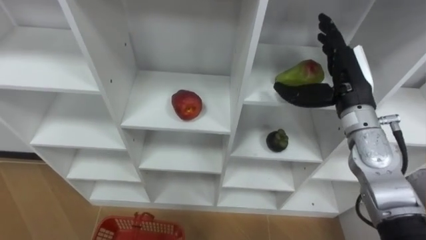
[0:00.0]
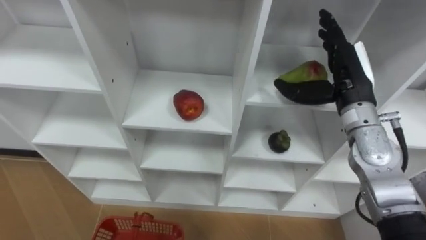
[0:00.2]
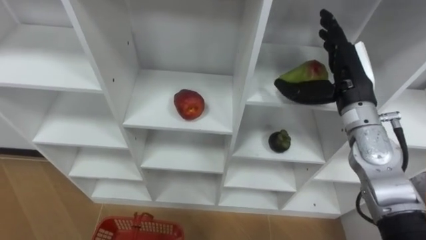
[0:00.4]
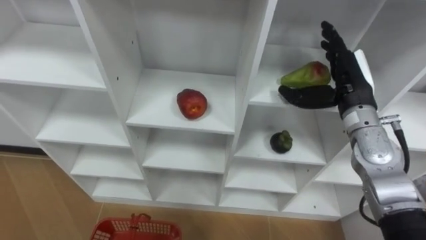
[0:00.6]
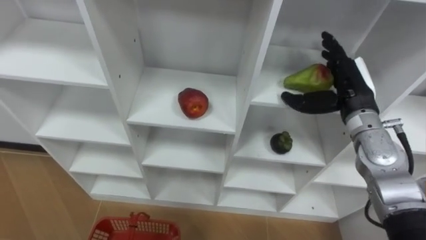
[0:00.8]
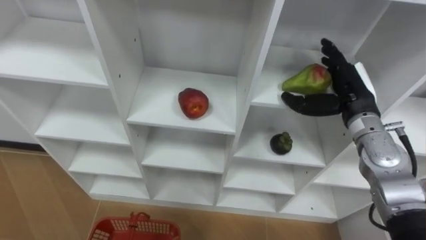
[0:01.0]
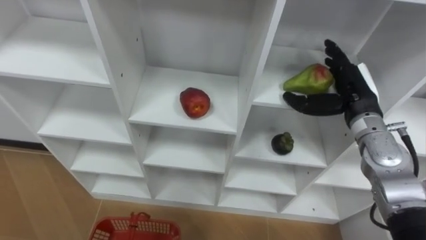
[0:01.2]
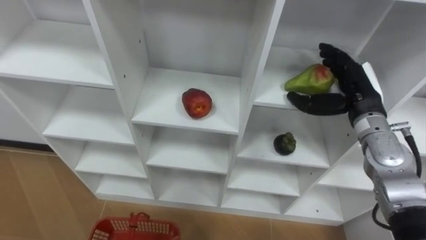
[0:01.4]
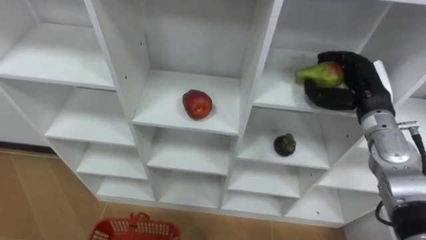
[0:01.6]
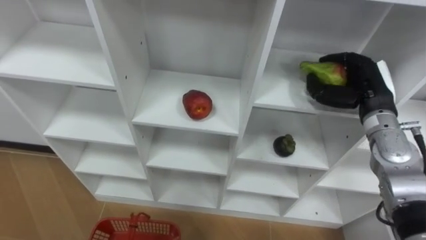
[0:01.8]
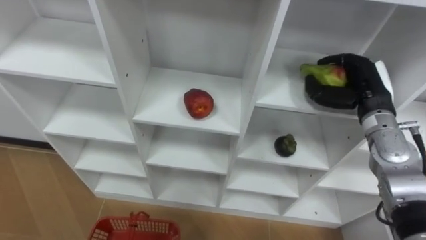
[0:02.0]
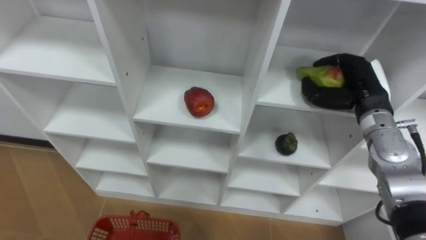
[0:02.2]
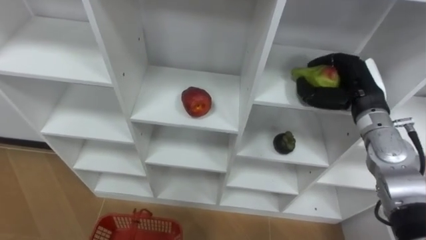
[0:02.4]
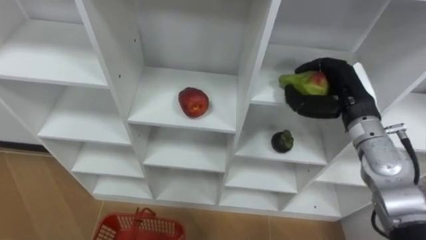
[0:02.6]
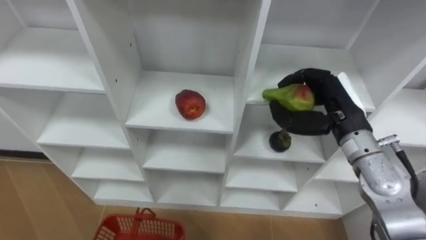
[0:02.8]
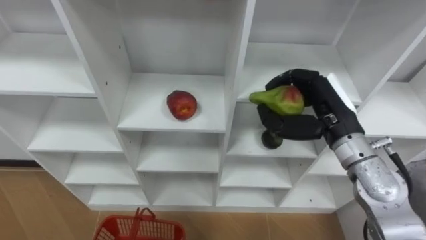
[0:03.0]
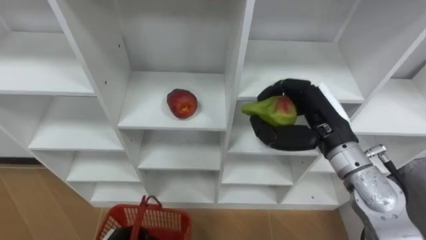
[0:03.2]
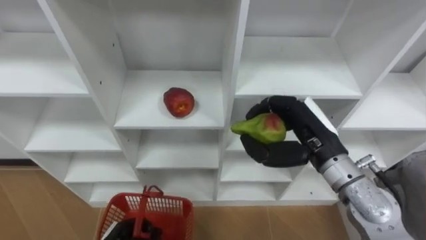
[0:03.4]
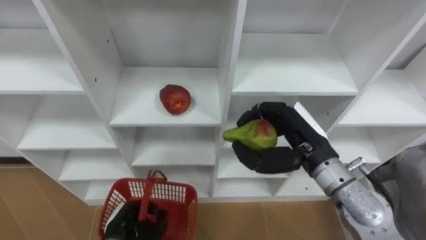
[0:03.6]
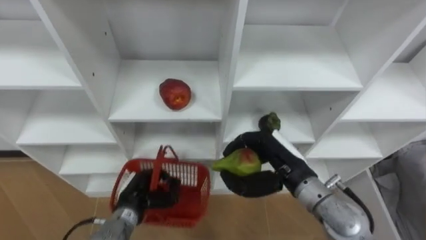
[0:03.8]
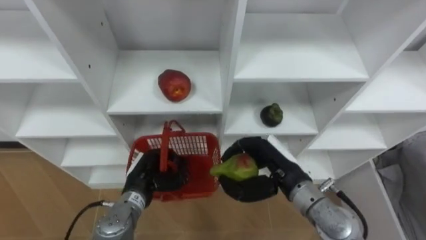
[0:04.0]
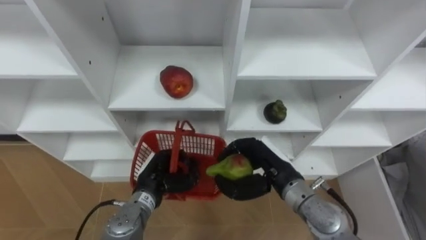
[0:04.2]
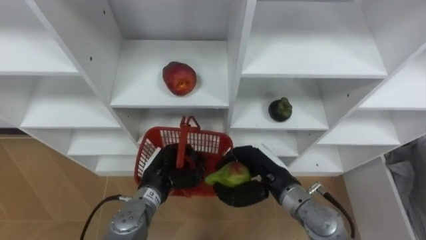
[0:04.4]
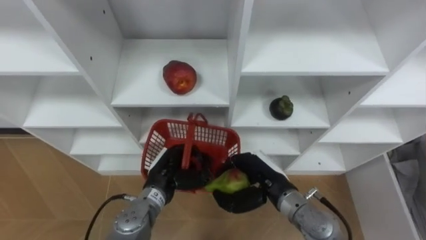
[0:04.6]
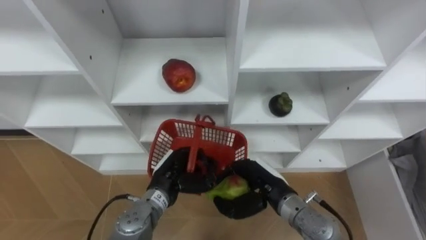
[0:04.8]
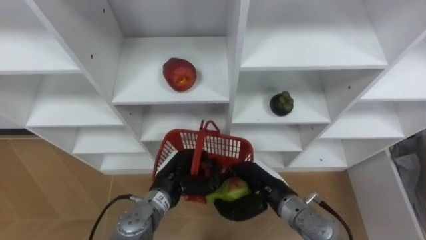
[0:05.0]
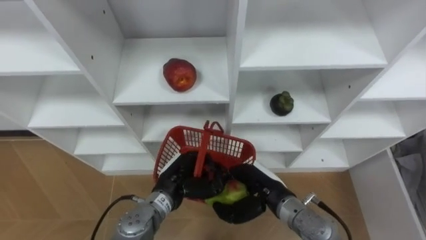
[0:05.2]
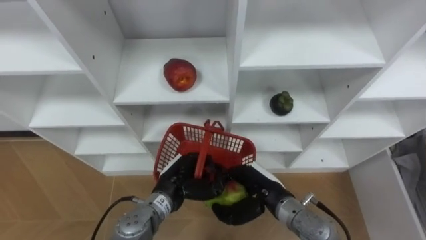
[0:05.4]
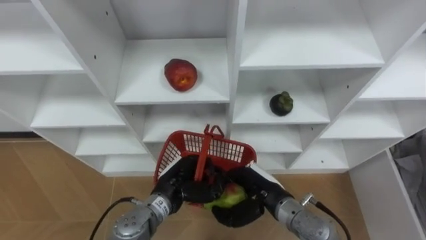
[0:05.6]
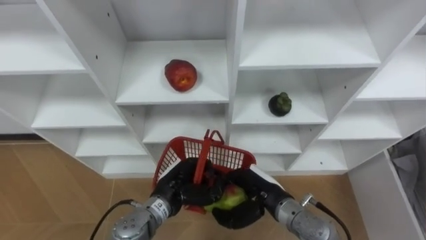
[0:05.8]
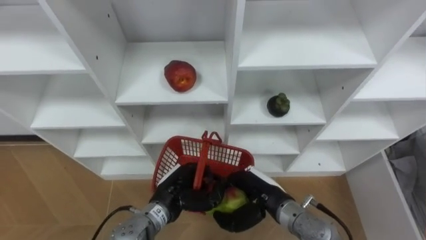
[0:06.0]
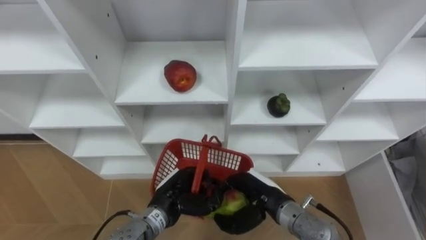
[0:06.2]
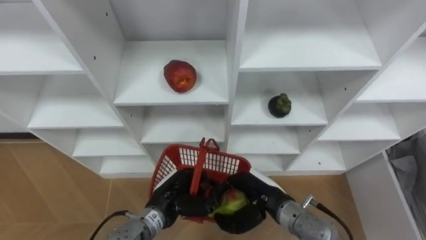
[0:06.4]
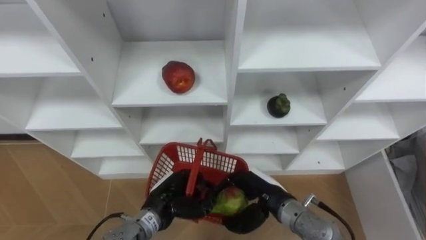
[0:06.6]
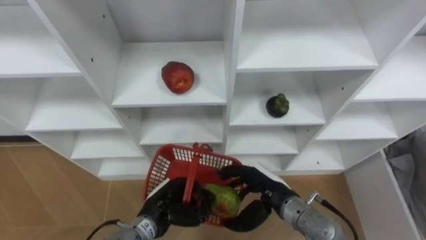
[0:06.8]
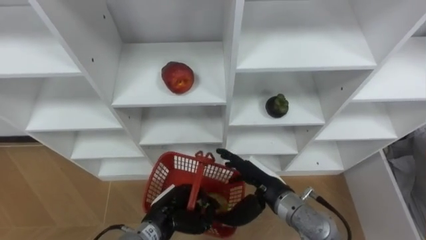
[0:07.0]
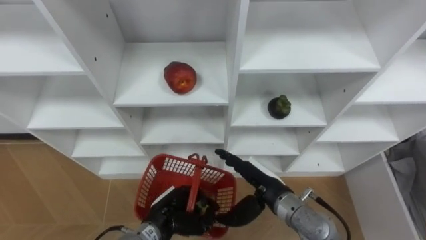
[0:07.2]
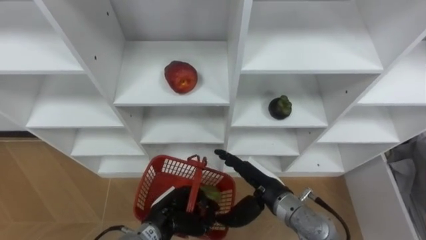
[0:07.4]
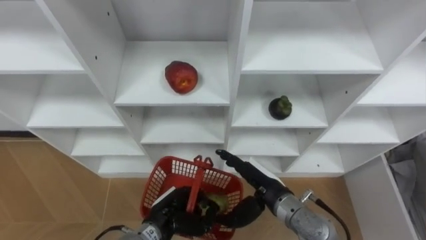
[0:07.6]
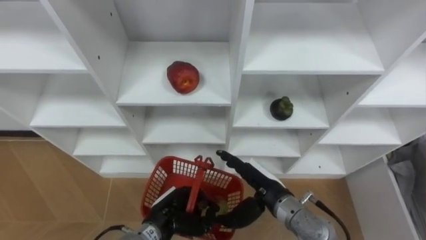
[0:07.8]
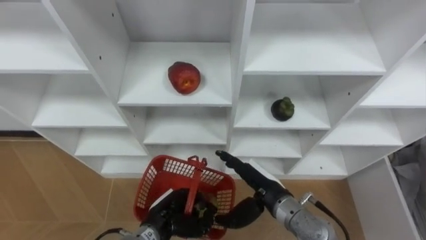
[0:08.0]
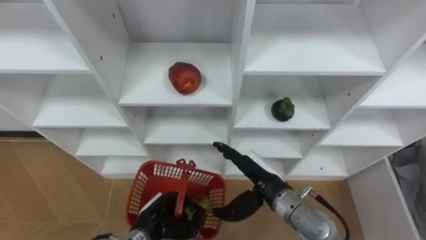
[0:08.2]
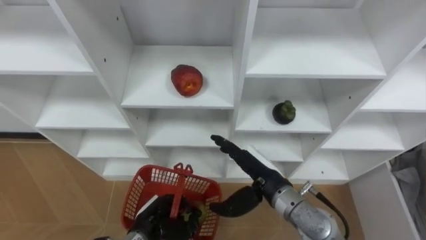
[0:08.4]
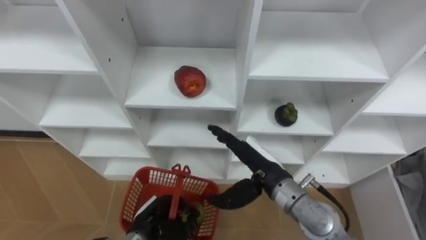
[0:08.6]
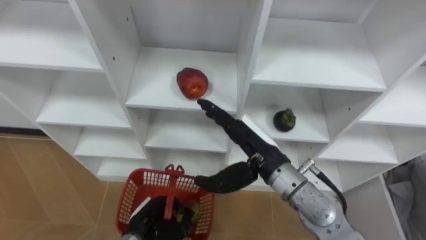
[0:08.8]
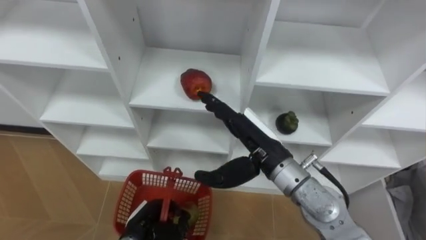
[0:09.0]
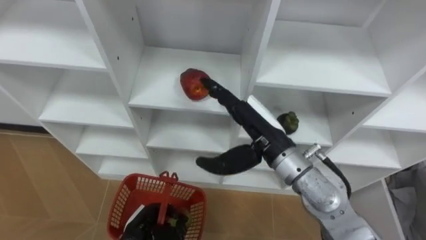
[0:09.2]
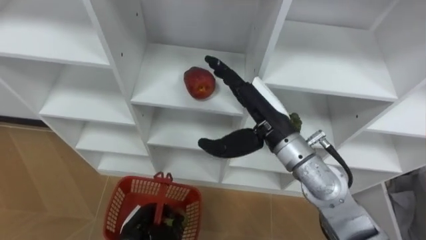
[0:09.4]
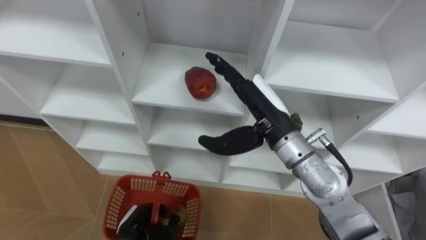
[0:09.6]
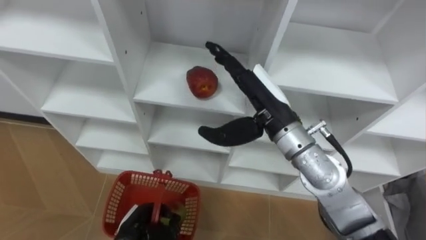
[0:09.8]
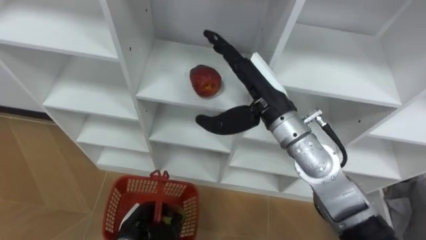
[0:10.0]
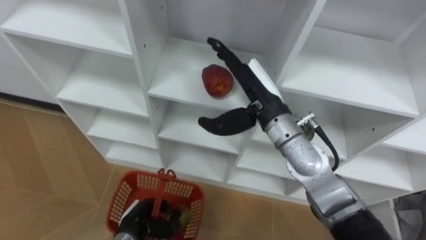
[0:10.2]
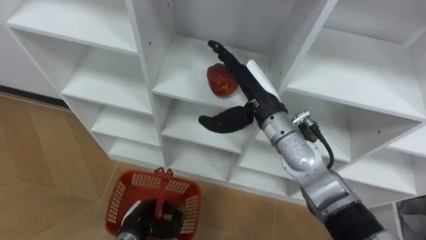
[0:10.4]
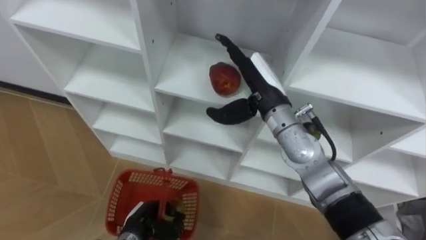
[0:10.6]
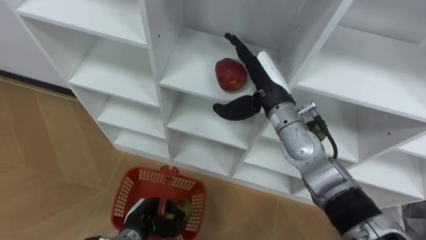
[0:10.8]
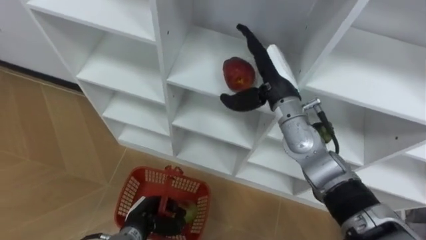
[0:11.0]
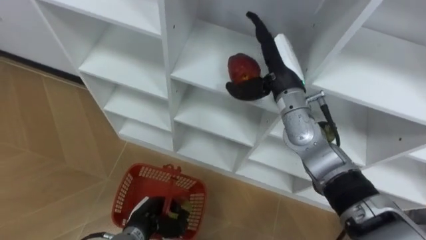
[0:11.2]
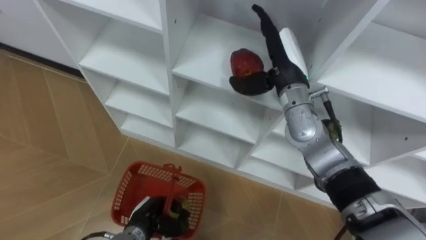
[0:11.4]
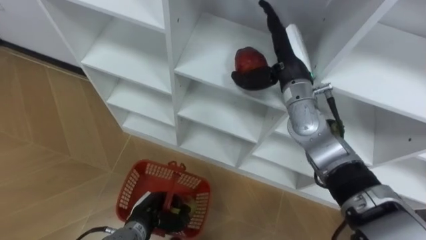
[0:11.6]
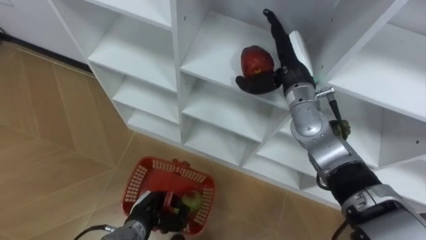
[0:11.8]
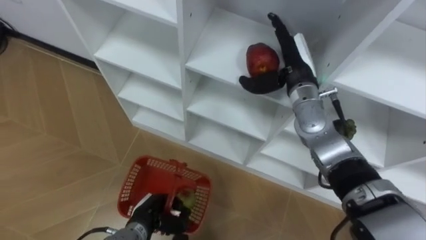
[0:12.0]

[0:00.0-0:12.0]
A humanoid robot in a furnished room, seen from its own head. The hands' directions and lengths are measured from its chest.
Task of the whole recording: Hold the basket and collect the fruits from 3 different cells of the closet into it.
0:00.0 to 0:01.6: The right hand heads to the right, covering some 5 cm, and closes up.
0:01.6 to 0:03.0: The right hand moves to the left and backward, some 10 cm.
0:03.0 to 0:04.4: The right hand goes about 15 cm downward and to the left.
0:06.0 to 0:07.6: The right hand opens.
0:07.6 to 0:09.0: The right hand goes some 10 cm upward; the left hand heads to the left, covering some 5 cm.
0:09.0 to 0:10.4: The right hand moves forward, about 5 cm.
0:10.4 to 0:12.0: The right hand heads to the right and forward, covering approximately 10 cm.

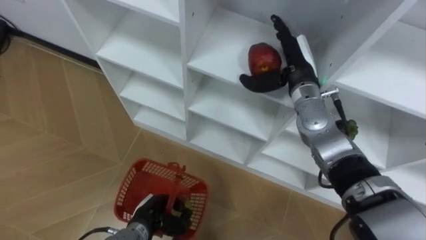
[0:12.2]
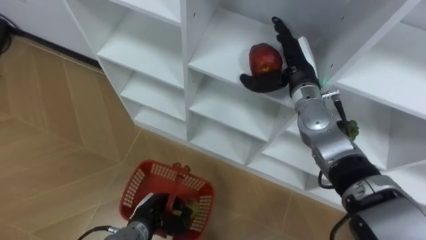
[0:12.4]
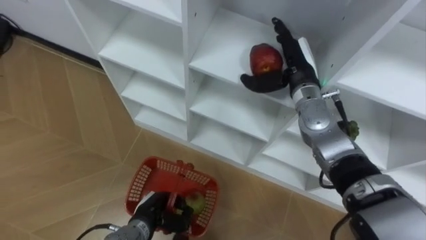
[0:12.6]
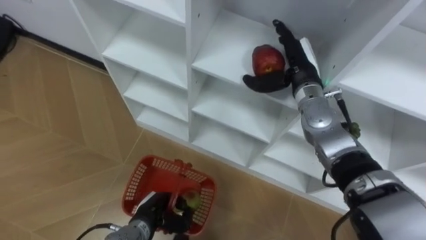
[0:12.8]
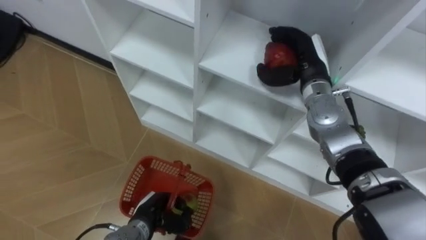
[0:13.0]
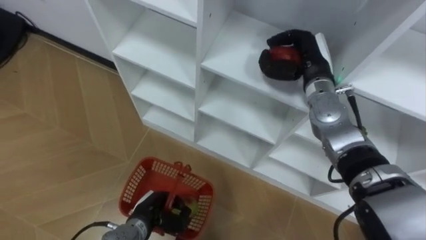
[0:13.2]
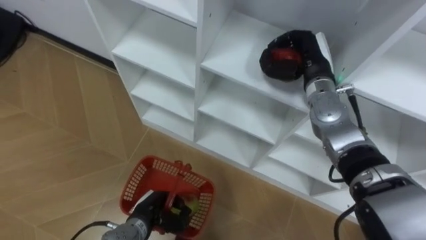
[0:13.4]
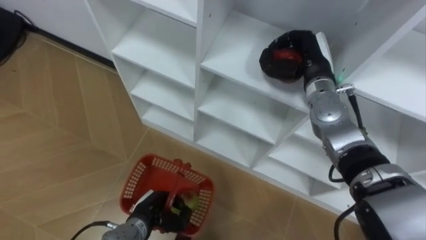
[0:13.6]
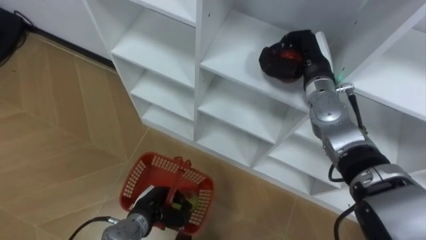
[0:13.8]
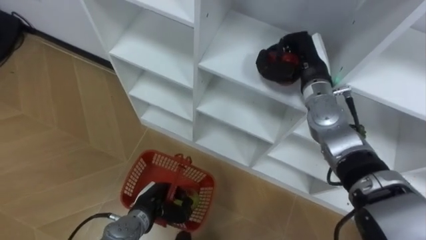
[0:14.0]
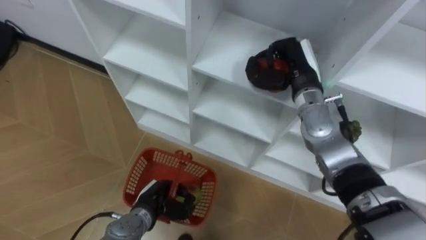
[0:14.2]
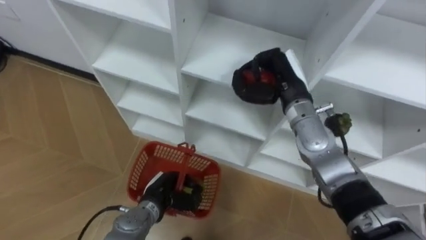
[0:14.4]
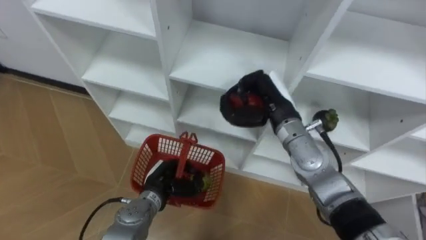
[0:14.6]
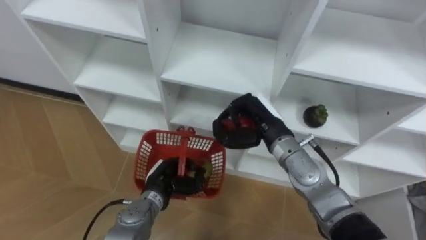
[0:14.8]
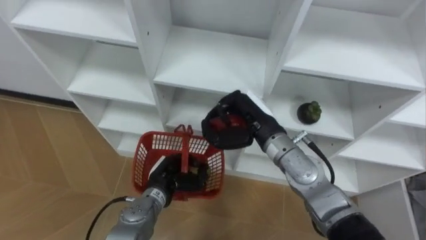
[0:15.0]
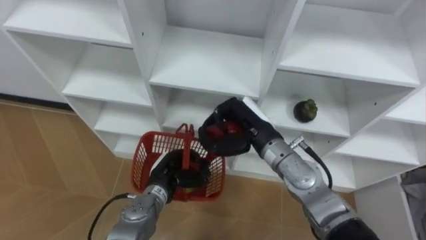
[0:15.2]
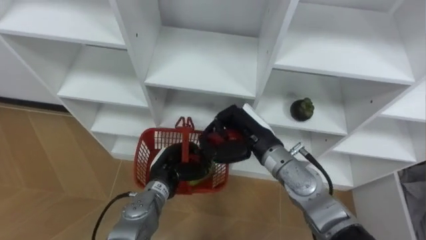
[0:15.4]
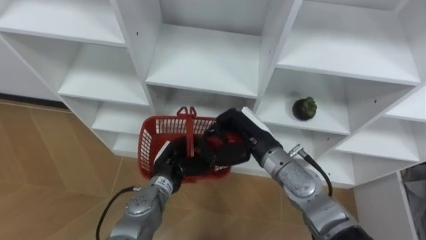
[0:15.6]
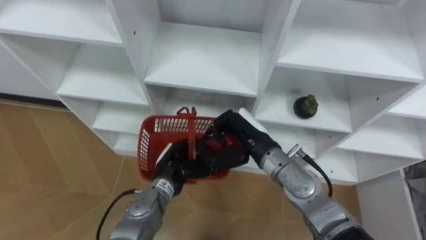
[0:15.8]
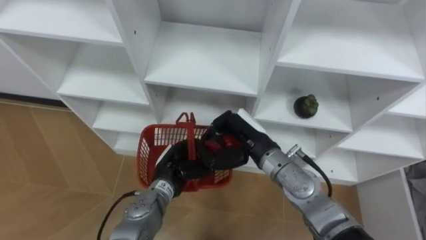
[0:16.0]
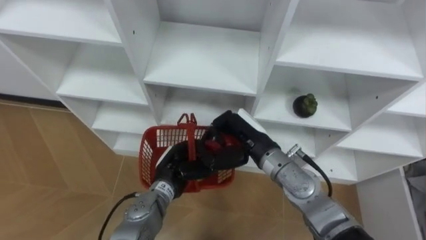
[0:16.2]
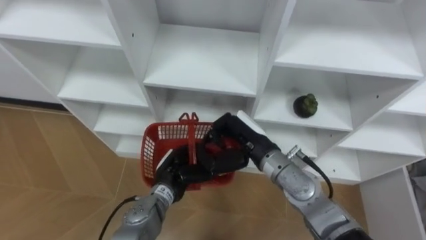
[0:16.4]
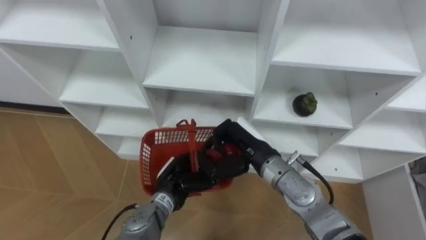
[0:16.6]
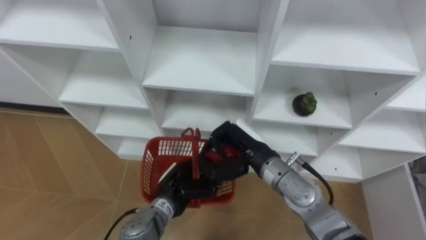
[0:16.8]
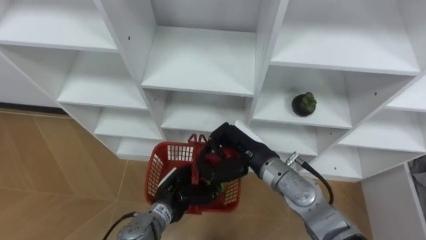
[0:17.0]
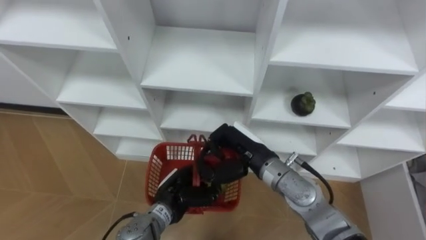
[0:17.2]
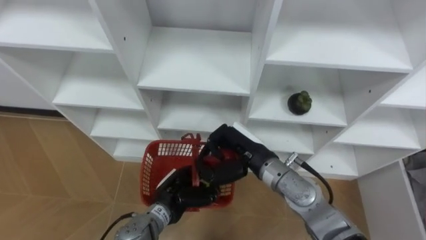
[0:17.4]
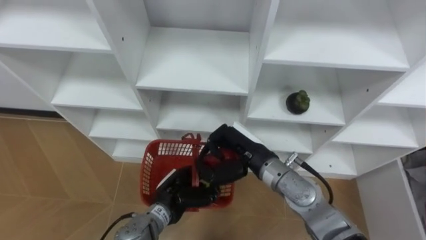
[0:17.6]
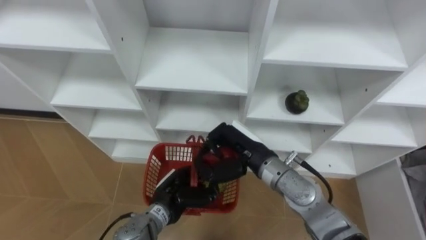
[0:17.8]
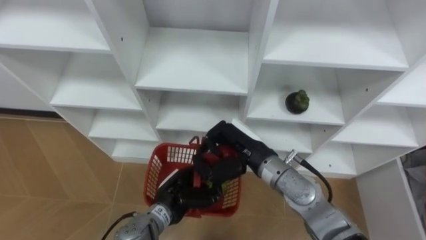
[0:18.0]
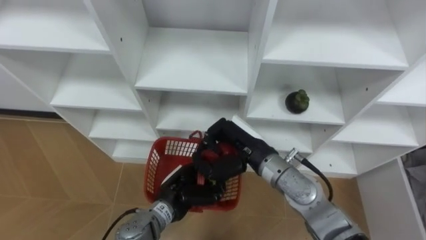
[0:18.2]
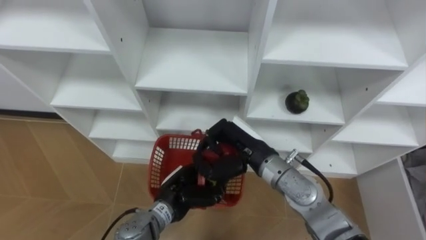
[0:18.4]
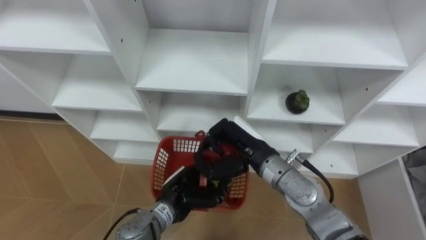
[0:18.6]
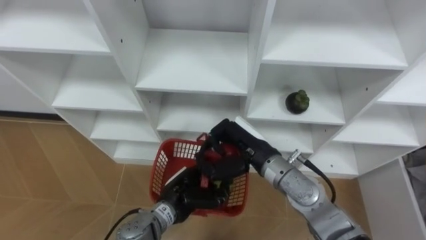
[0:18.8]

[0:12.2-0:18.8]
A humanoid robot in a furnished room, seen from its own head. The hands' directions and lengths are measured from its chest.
Task of the whole recording: Hold the basket and collect the fruits from 3 different cells of the closet into it.
0:12.2 to 0:13.8: The right hand closes its fingers.
0:13.8 to 0:15.4: The left hand is displaced upward and forward by roughly 10 cm; the right hand goes about 15 cm backward, to the left and downward.
0:17.2 to 0:18.8: The hands stay close to where they were, moving slightly.
